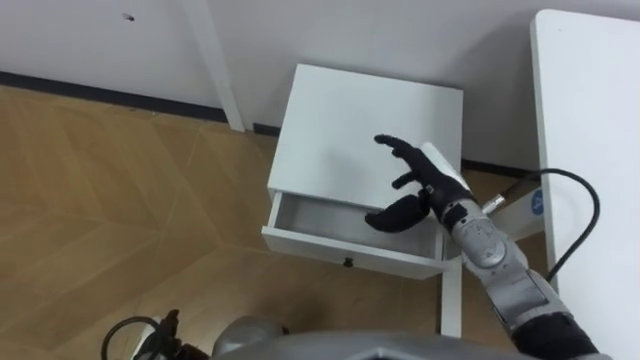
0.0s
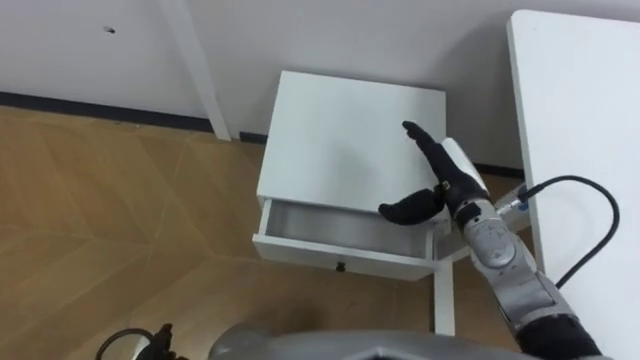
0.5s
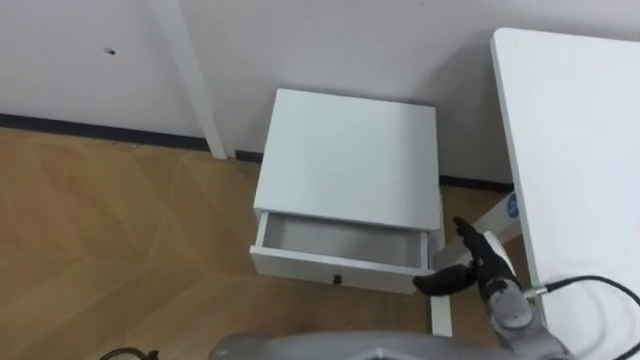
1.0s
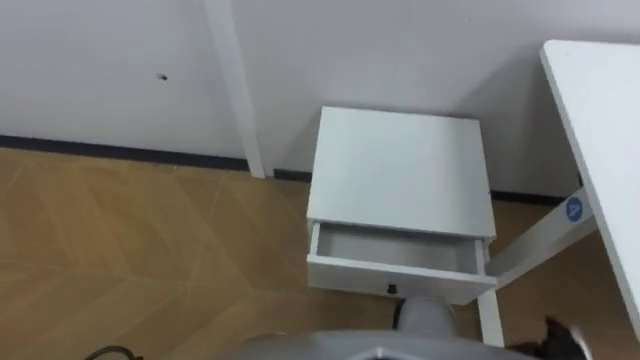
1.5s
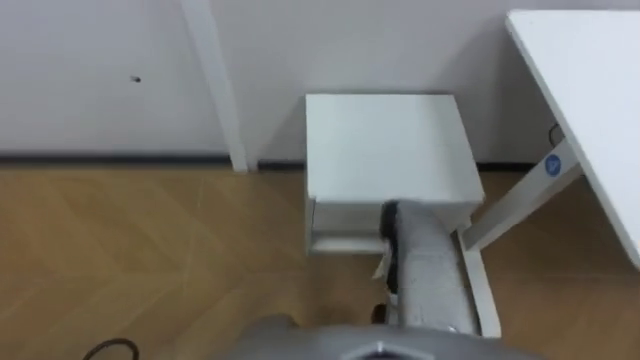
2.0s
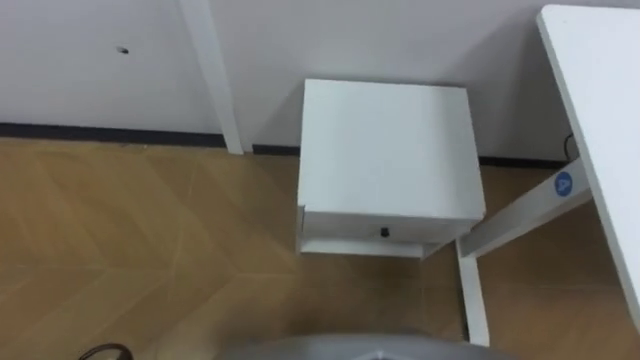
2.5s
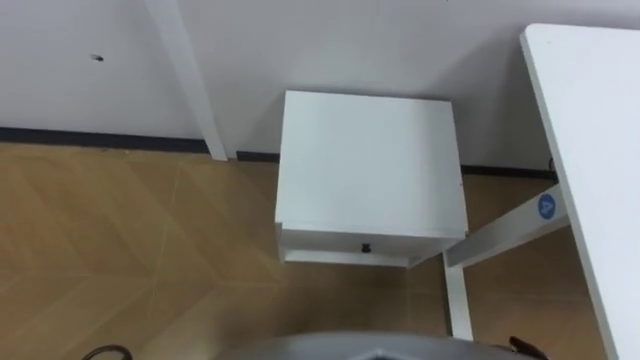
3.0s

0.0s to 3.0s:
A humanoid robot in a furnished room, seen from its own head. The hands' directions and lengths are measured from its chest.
Task of the whole recording: Pick up the apple from the table, put it in the drawer, and close the drawer with leg.
0.0s to 1.5s: The right hand moves backward, to the right and downward, roughly 30 cm.

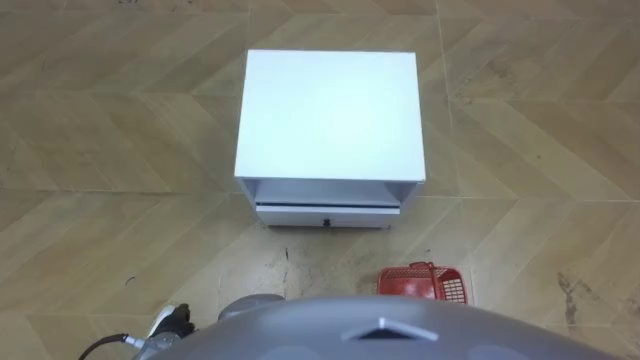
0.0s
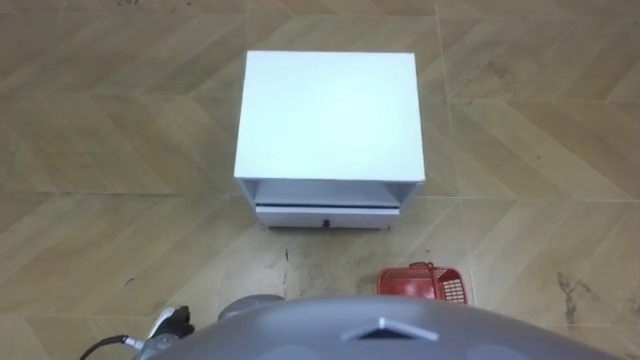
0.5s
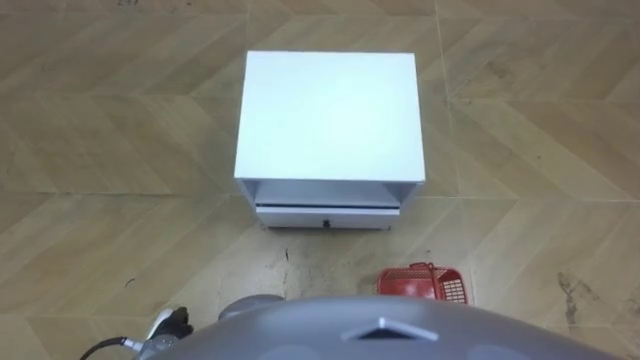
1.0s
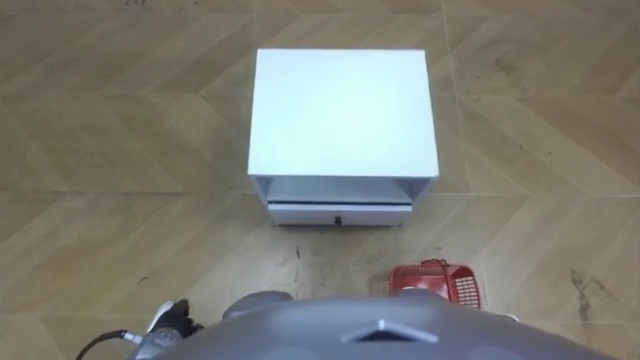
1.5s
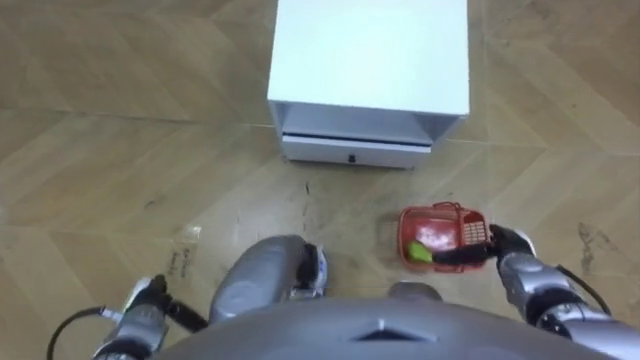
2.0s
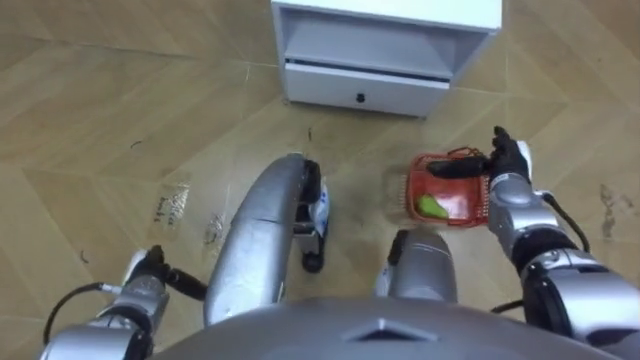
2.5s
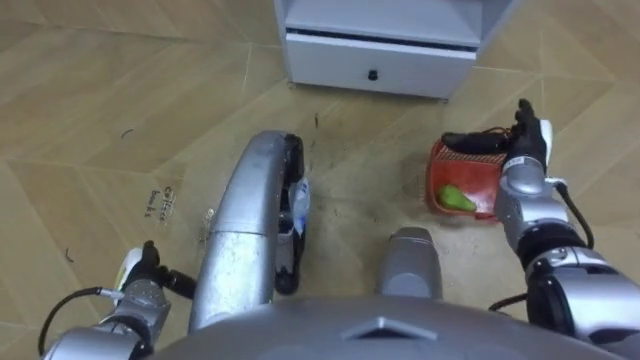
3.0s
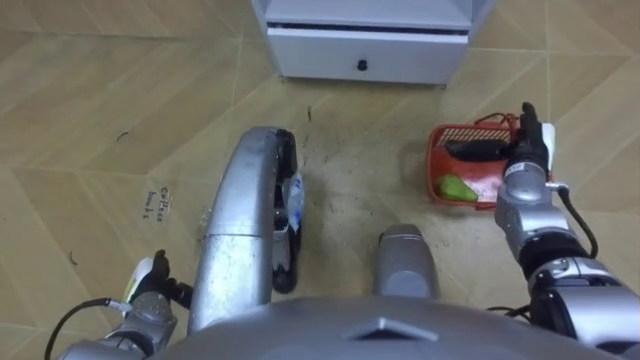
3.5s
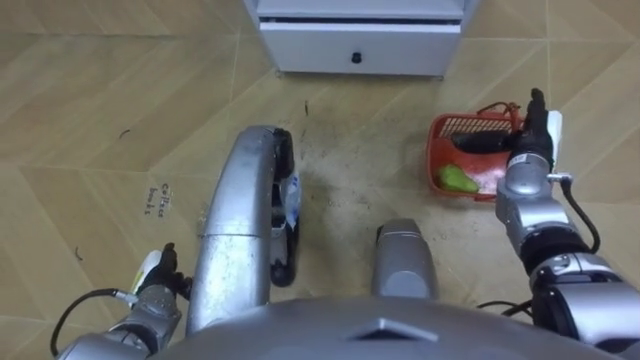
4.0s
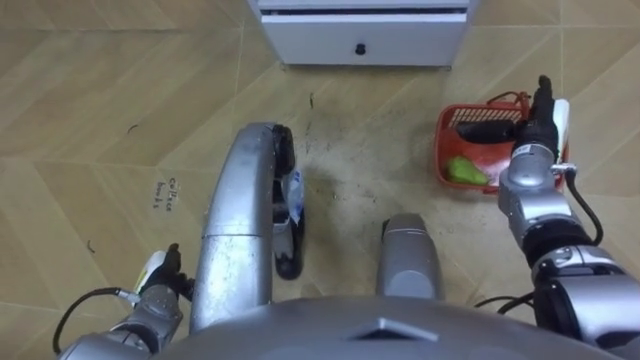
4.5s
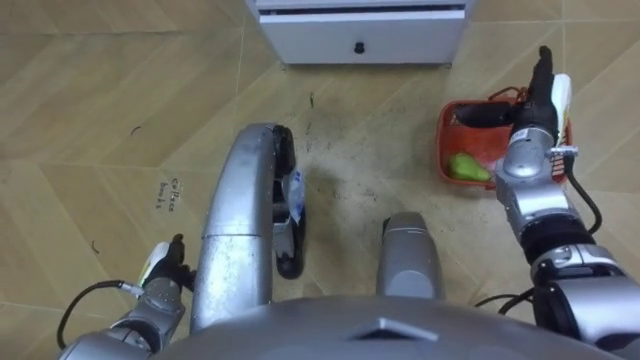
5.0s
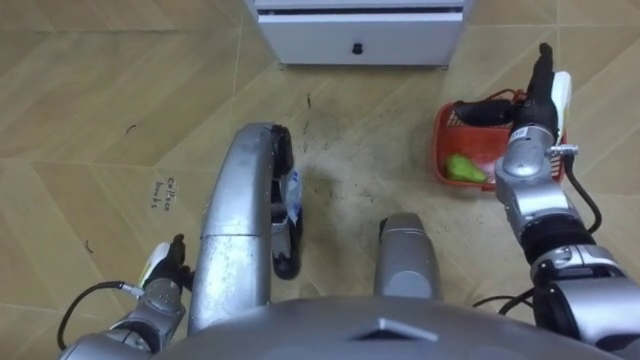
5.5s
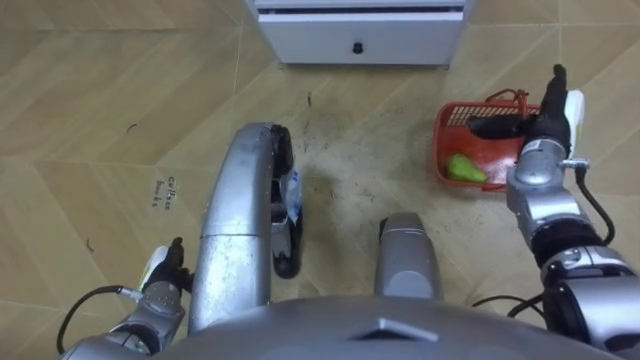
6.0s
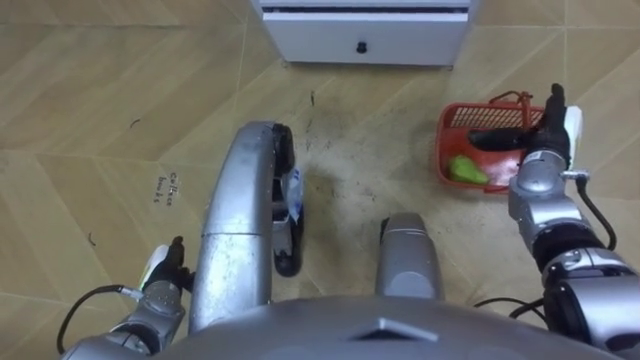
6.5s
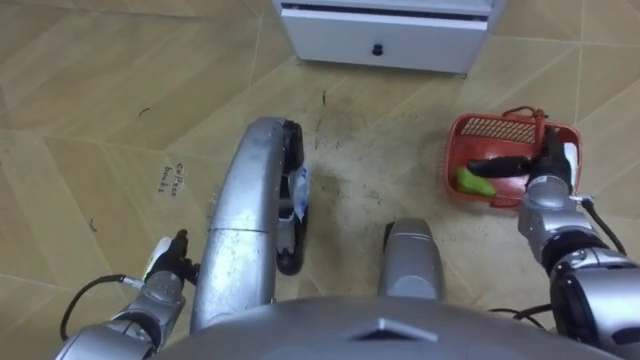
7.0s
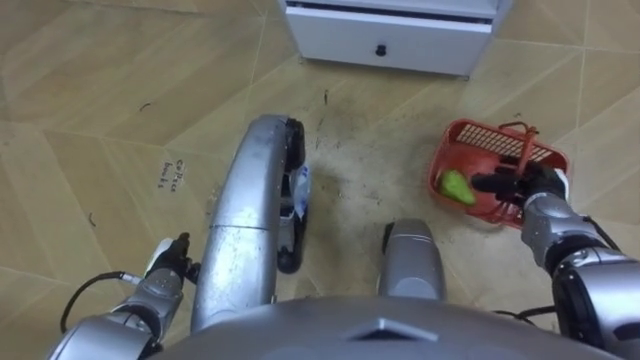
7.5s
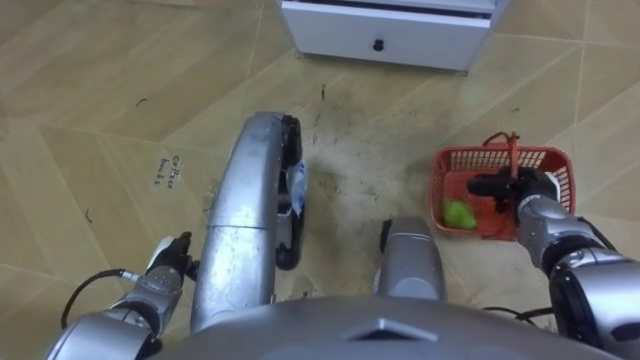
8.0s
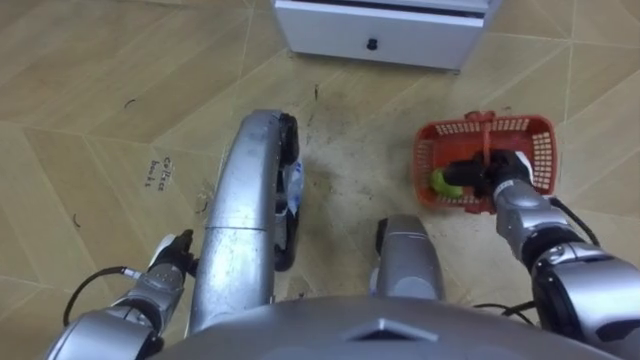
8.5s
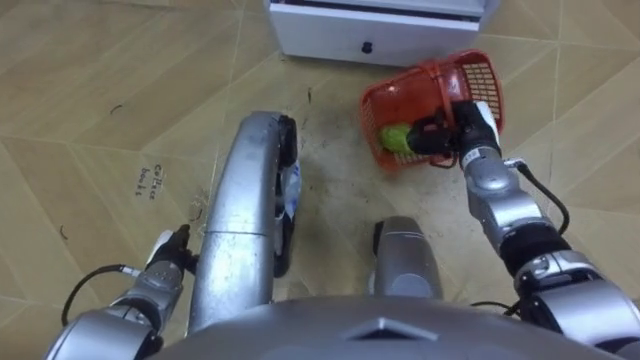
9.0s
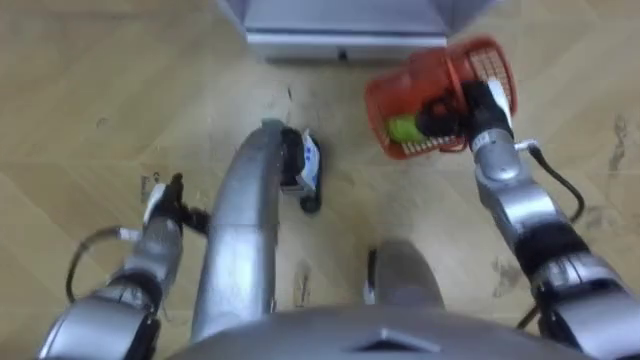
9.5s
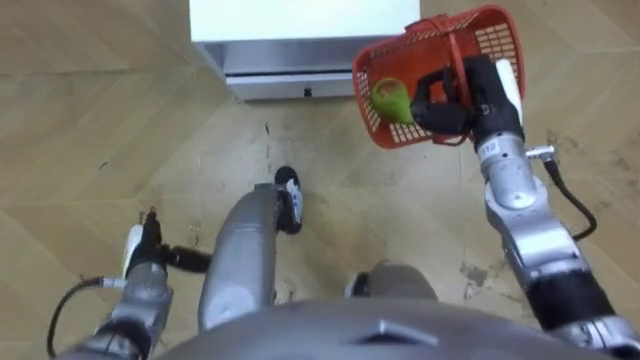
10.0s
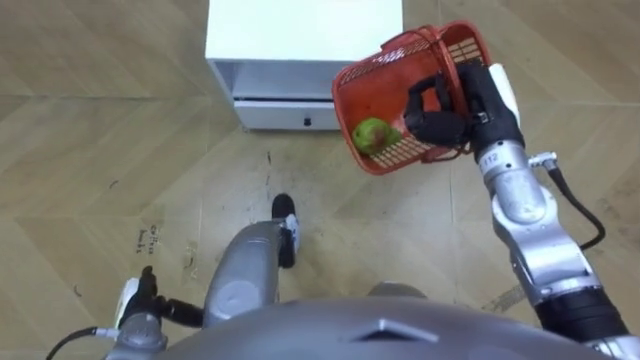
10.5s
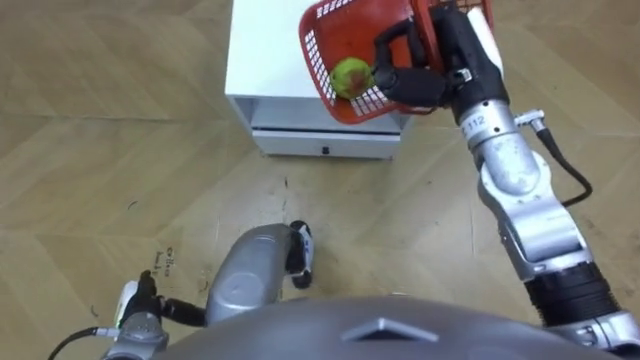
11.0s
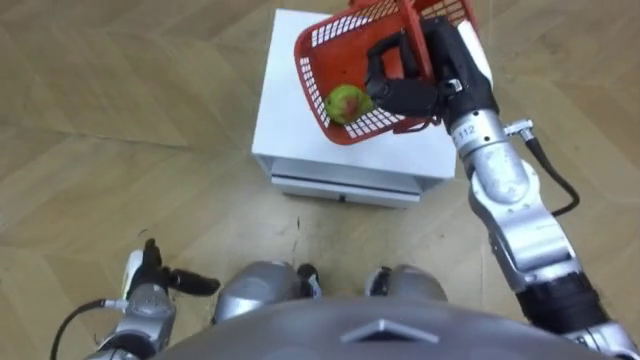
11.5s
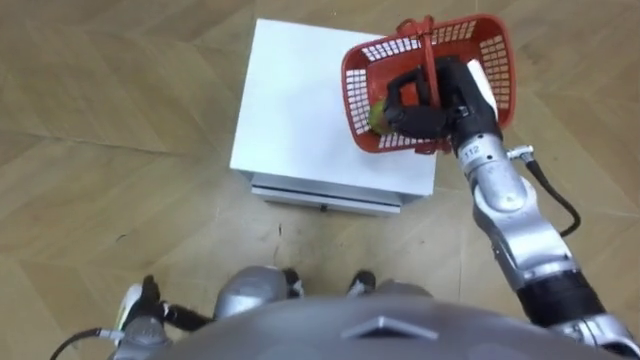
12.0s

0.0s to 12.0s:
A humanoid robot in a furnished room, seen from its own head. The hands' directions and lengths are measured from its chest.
Task of the whole recording: Pick up the fruit basket from the floor and place it on the cabinet.
2.0s to 4.0s: The right hand travels forward and upward by about 20 cm.
6.0s to 8.0s: The right hand heads downward and backward, covering approximately 10 cm, and closes.
8.0s to 10.0s: The robot rotates about 15 degrees to its right. The right hand moves upward, to the left and forward, some 20 cm.
10.0s to 12.0s: The left hand swings forward and backward, approximately 10 cm each way, with 2 reversals.

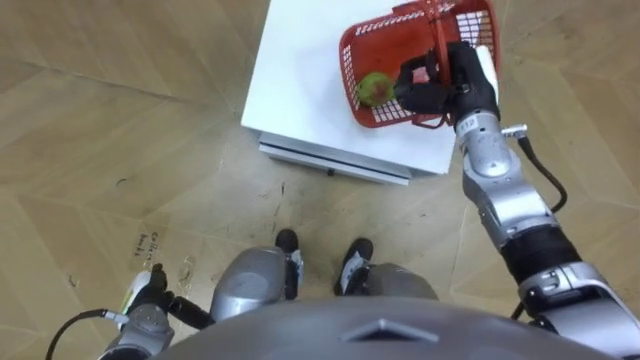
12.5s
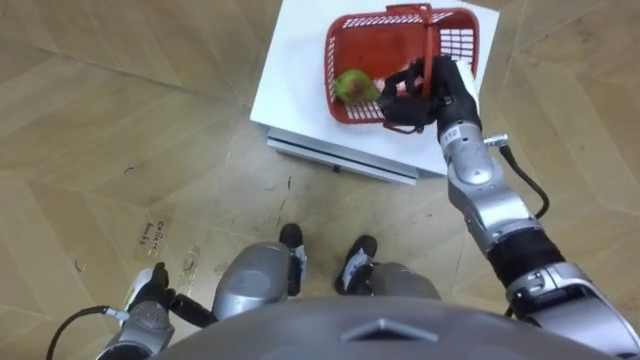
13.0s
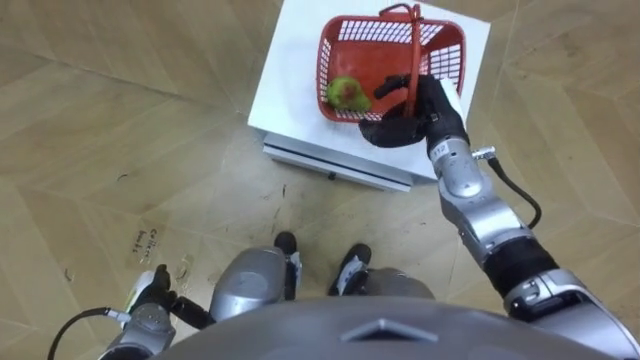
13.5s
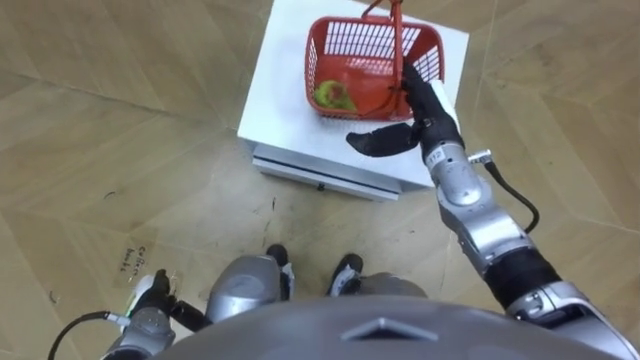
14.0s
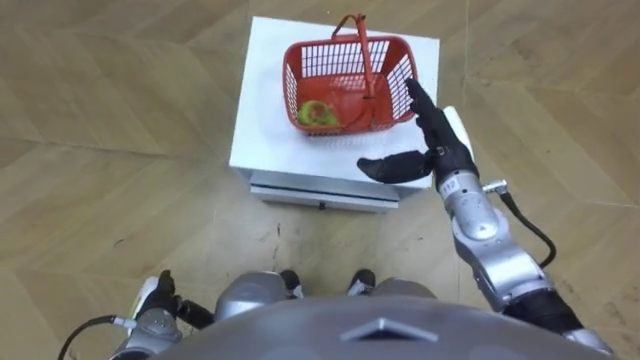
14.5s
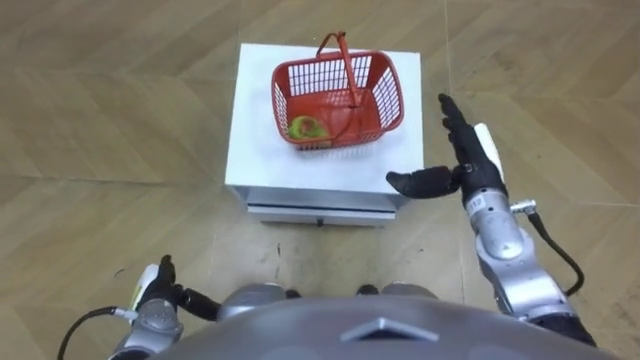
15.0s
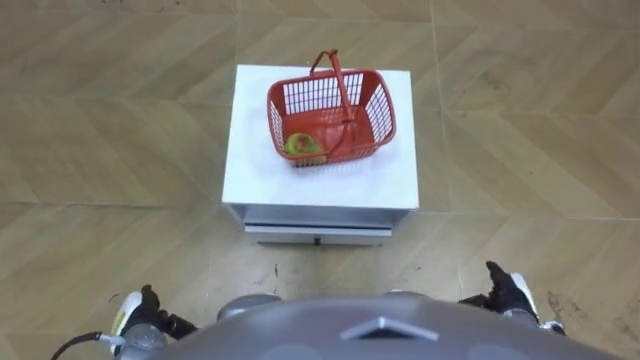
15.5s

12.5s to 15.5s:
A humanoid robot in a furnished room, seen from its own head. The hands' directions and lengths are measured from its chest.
Task of the whole recording: Pick up the fruit basket from the floor and place it on the cabinet.
12.5s to 14.0s: The right hand ends up roughly 5 cm from where it was, and opens up.
14.0s to 15.5s: The right hand shifts approximately 30 cm backward, downward and to the right.

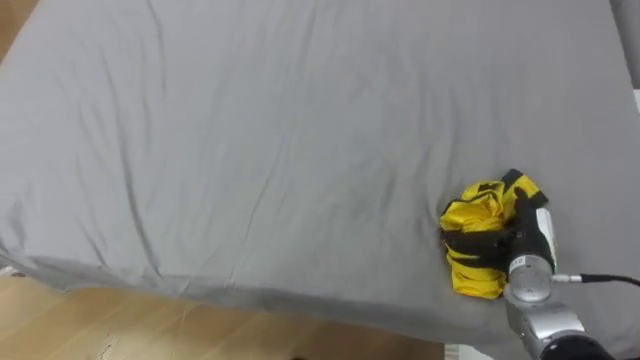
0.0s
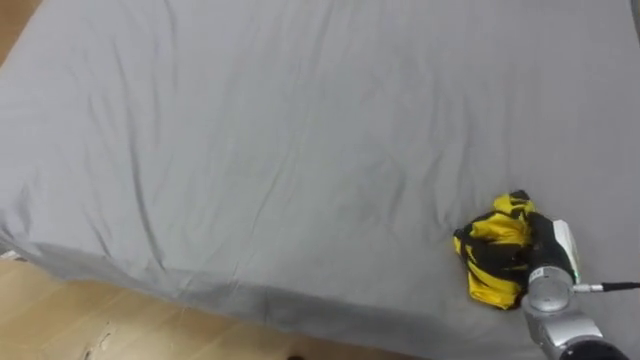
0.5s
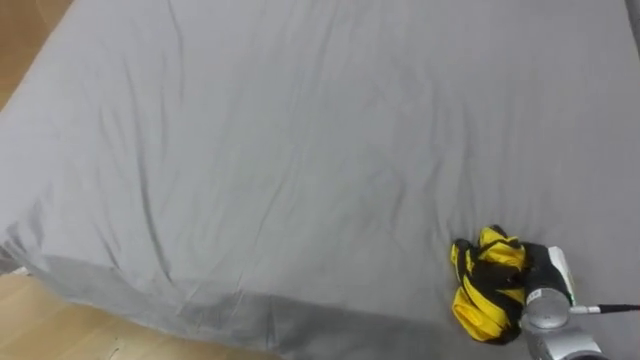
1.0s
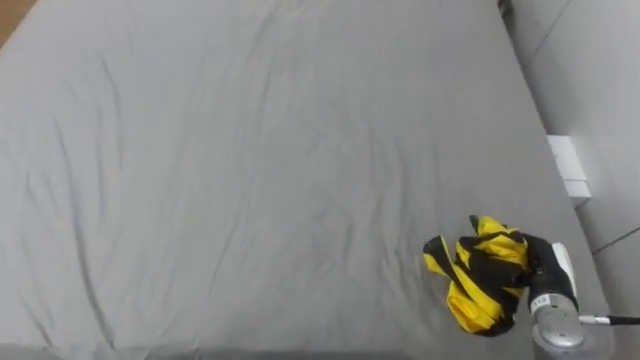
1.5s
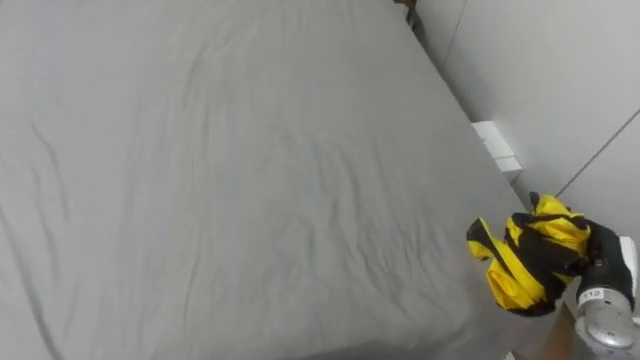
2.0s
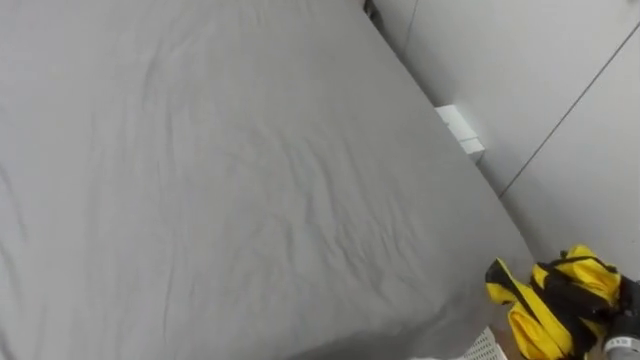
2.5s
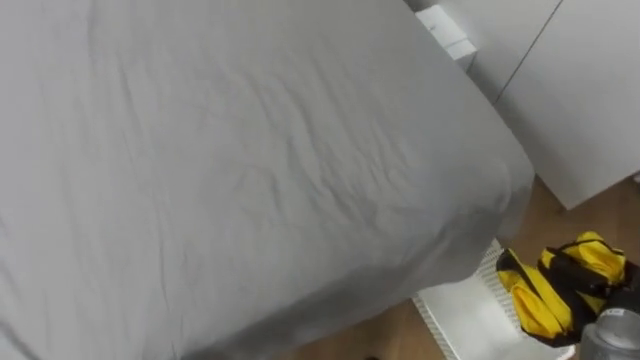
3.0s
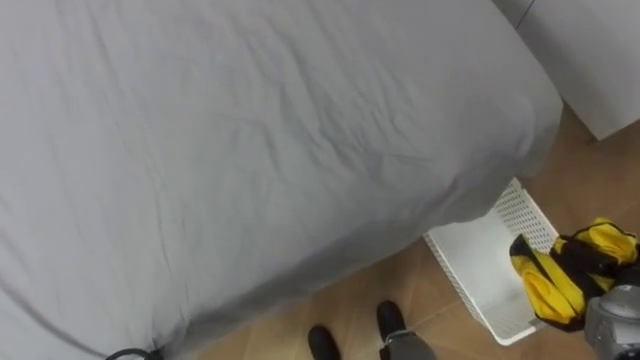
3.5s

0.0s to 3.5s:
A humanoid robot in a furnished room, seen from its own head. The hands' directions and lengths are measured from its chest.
Task of the whole recording: Pick up the yellow clothes on the bed and place them into the white basket on the right.
0.0s to 2.0s: The right hand is displaced to the right and backward by some 10 cm, and closes its fingers.
2.0s to 3.5s: The right hand travels to the right by some 5 cm.
